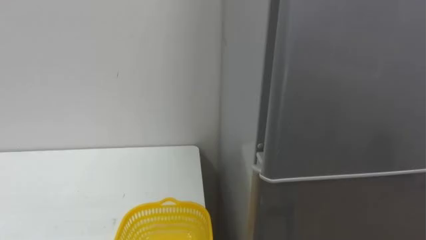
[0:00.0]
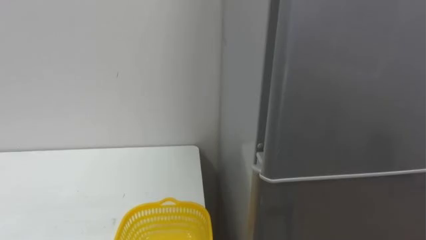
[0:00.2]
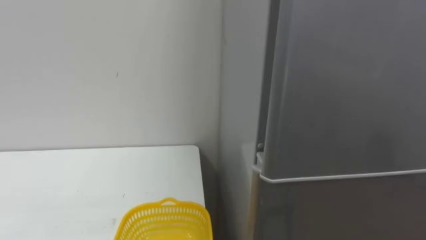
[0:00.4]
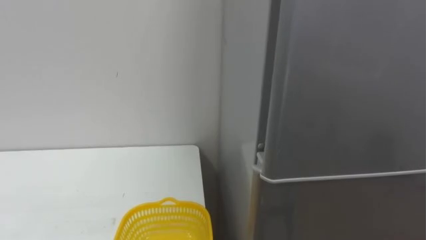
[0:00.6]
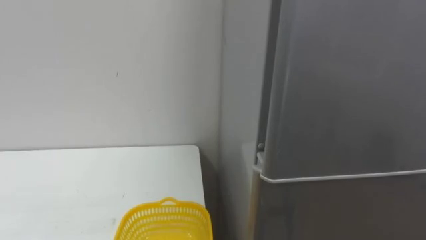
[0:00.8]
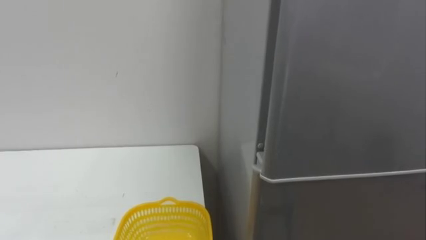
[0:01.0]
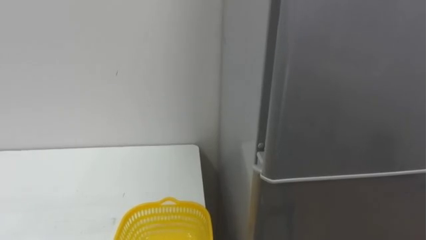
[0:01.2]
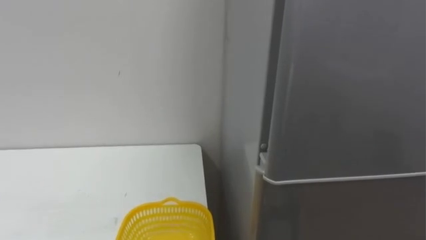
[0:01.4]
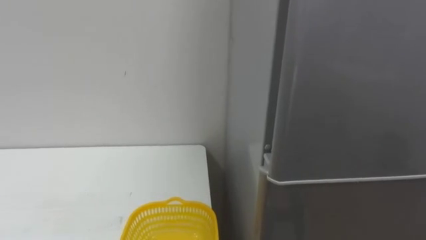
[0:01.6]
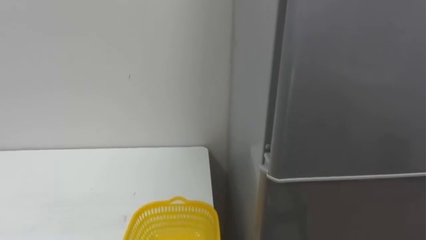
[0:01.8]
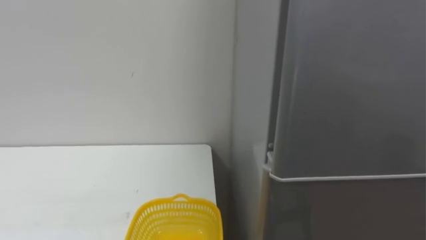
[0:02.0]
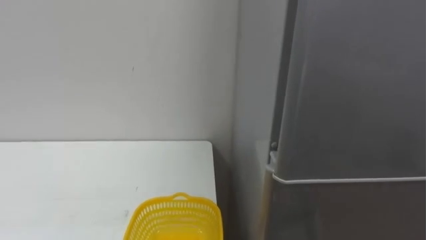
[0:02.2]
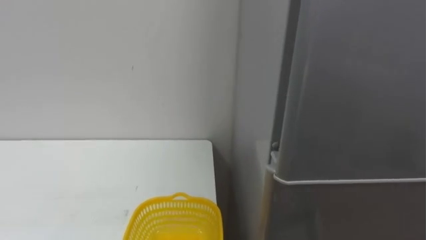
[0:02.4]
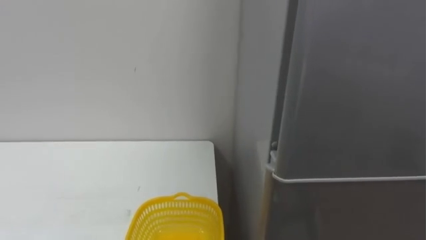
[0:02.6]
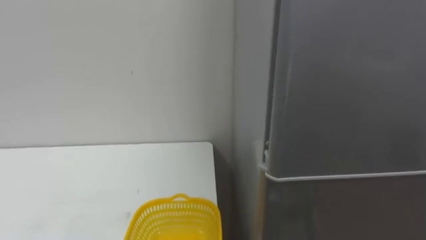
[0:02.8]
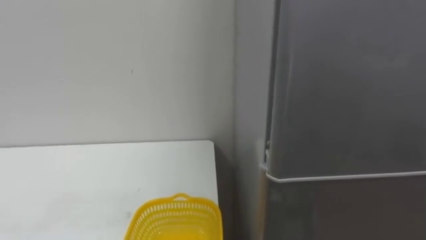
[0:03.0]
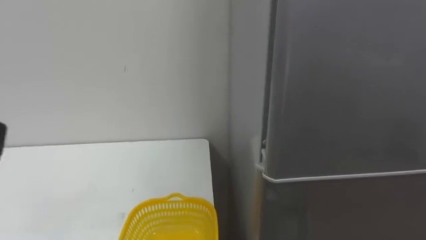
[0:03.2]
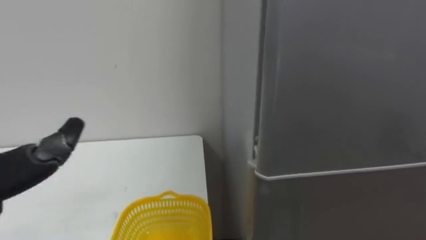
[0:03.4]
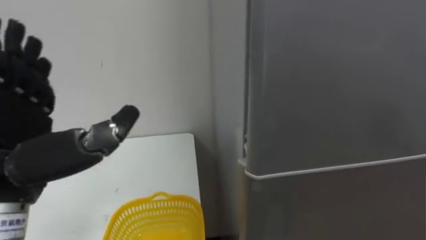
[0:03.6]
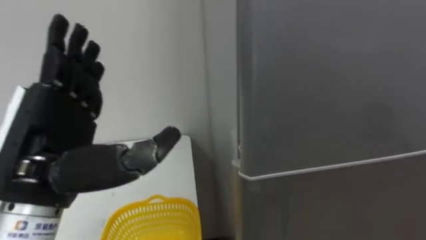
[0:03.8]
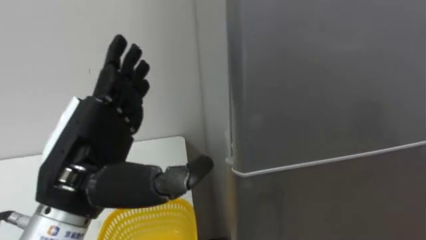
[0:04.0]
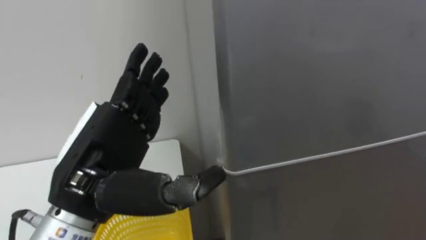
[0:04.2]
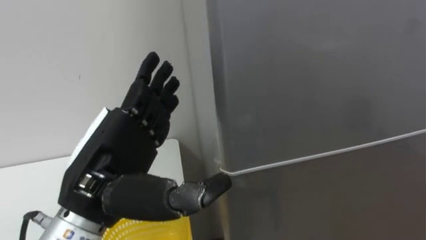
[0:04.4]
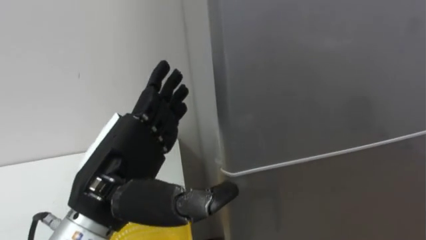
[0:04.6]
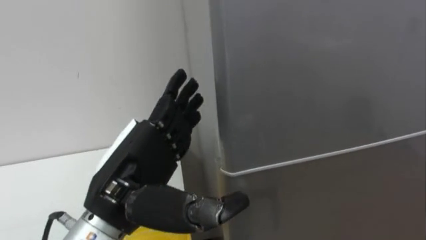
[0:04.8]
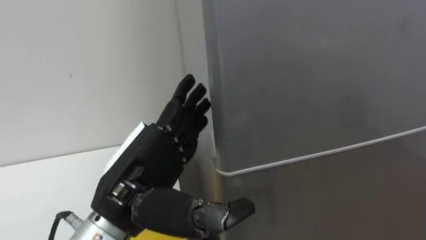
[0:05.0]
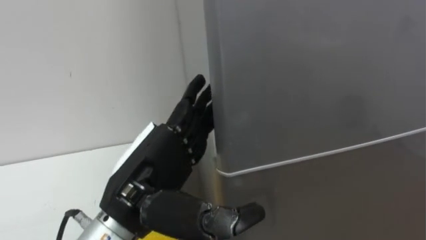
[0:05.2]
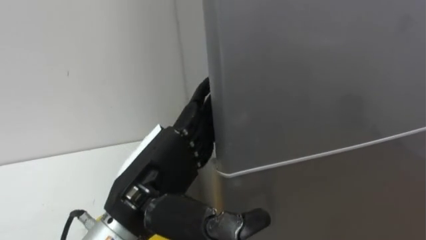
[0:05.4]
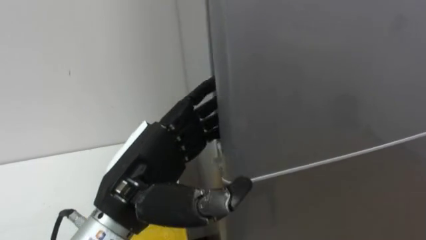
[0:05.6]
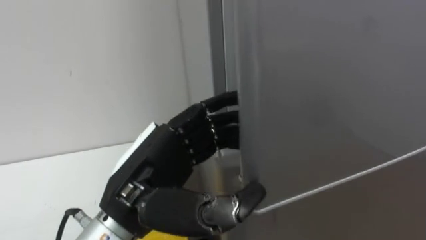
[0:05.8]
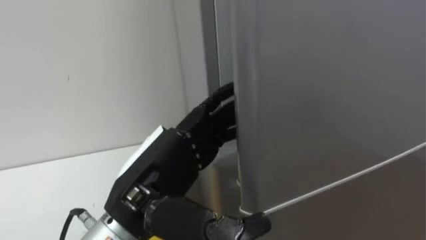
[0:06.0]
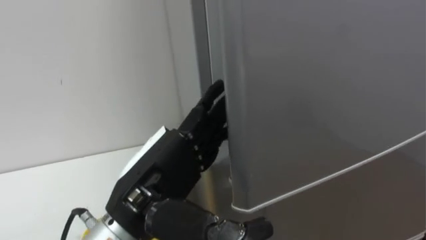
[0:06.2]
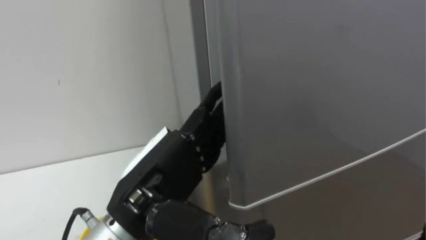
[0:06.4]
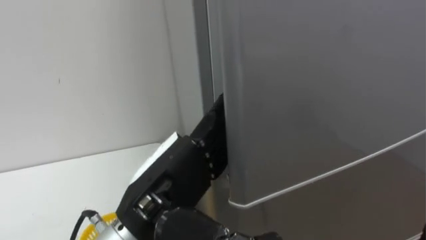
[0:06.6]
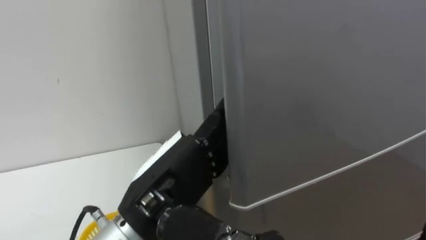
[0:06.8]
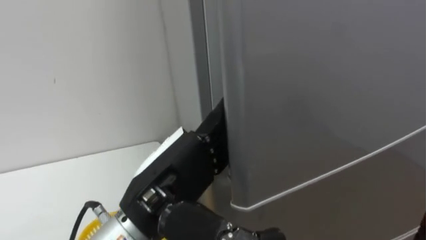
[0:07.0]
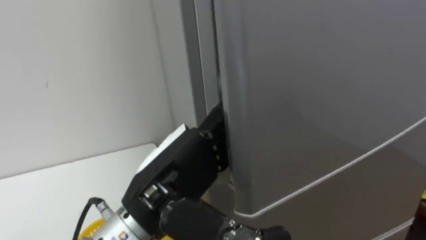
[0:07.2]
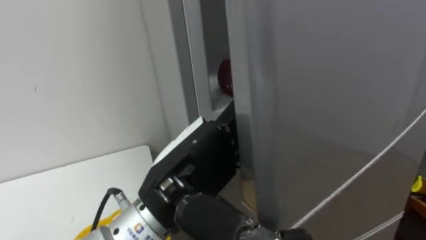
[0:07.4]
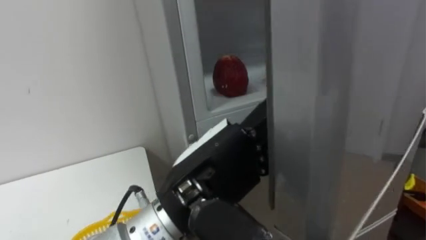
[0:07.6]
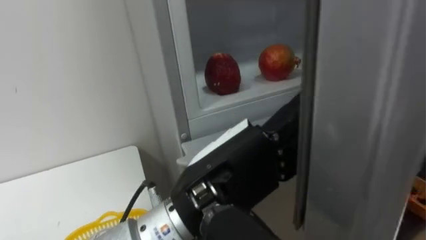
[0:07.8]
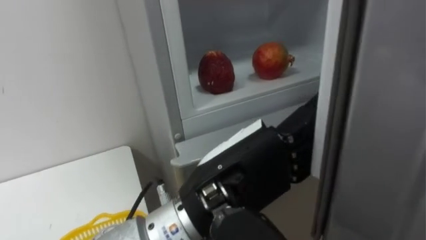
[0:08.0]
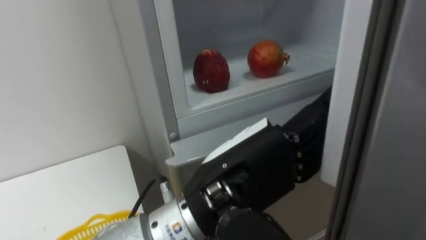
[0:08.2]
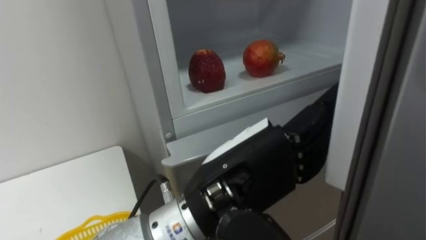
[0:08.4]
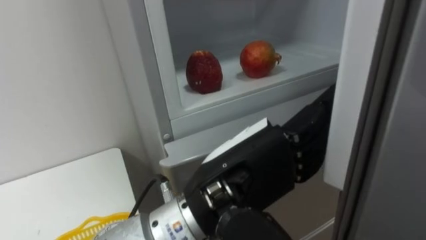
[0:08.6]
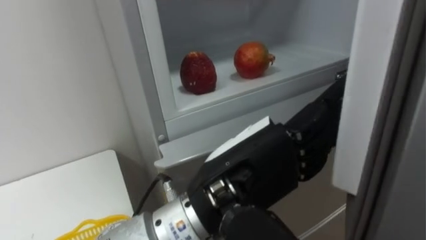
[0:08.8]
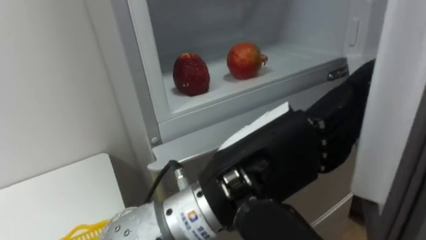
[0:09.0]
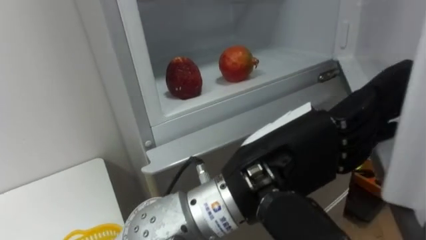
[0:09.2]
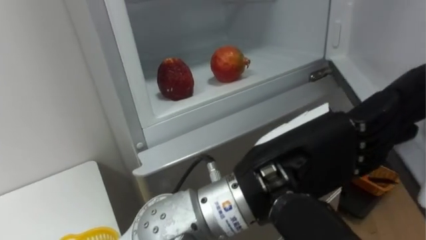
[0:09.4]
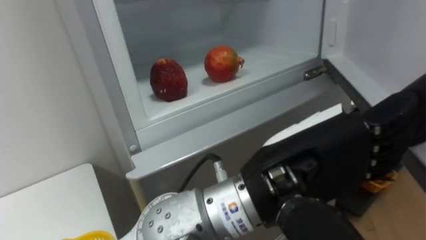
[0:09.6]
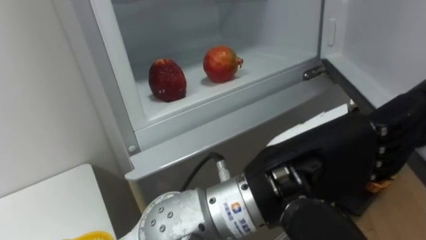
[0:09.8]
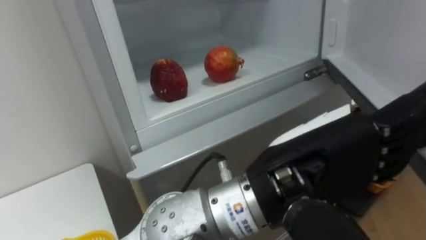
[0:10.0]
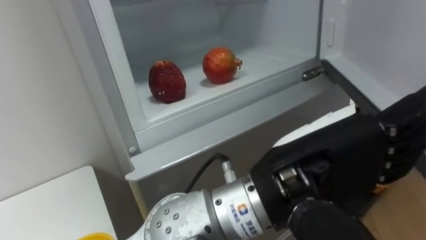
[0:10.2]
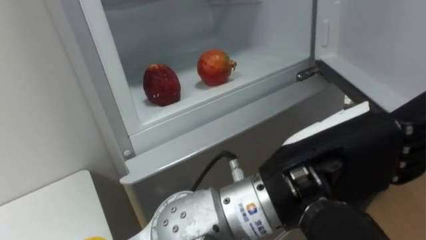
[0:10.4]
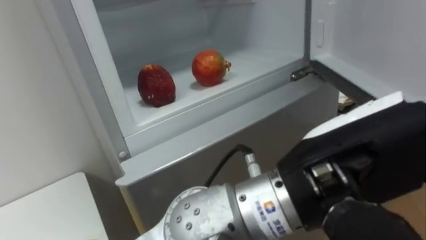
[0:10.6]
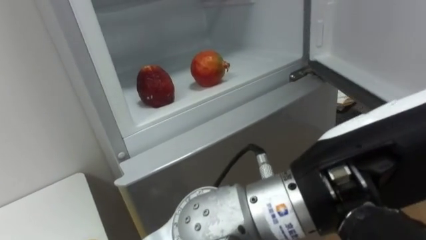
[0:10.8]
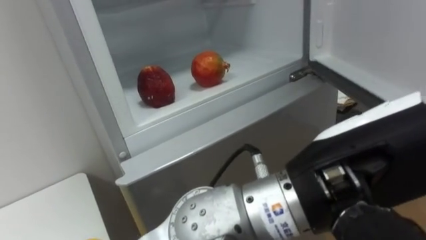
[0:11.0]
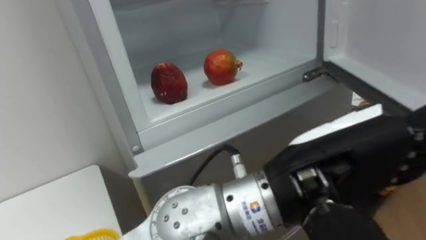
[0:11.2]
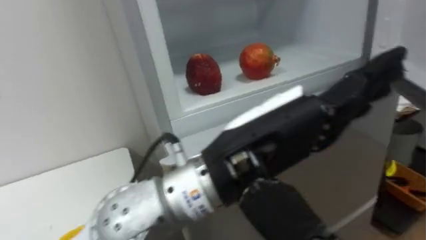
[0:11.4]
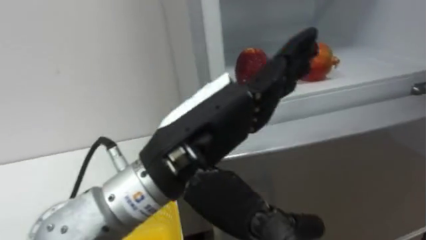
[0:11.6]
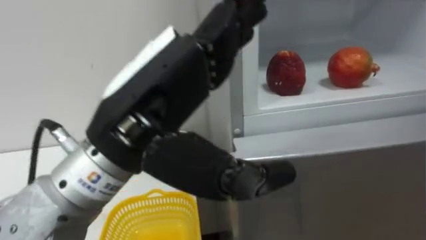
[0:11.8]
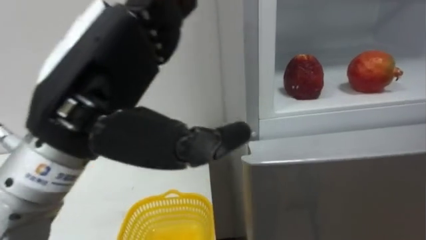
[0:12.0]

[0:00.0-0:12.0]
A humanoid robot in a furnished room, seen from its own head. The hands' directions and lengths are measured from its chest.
Task of the whole recording: Open the refrigerator door, take out the apple and the pomegranate, place them in the fruit basket on the left, and close the refrigerator door.
0:04.4 to 0:06.0: The left hand moves some 5 cm.
0:06.0 to 0:07.6: The left hand shifts approximately 5 cm to the right.
0:07.6 to 0:09.0: The left hand shifts by about 5 cm.
0:09.0 to 0:10.4: The left hand travels to the right by approximately 5 cm.
0:10.4 to 0:12.0: The left hand travels to the left by roughly 20 cm.

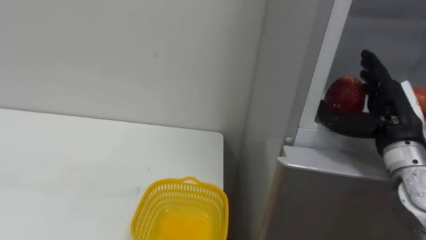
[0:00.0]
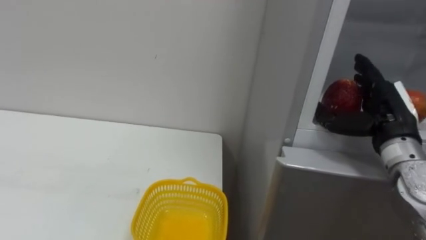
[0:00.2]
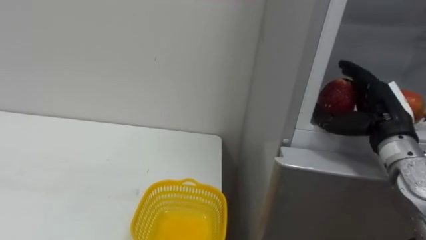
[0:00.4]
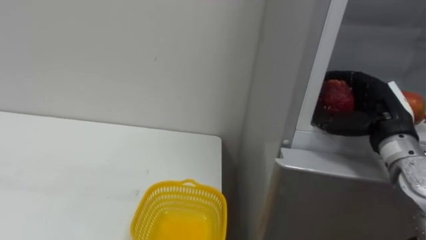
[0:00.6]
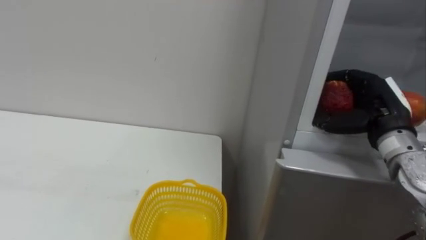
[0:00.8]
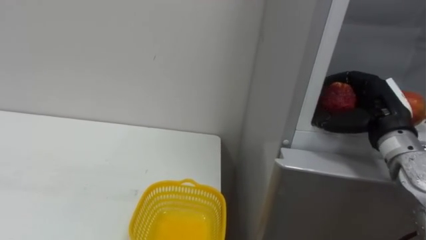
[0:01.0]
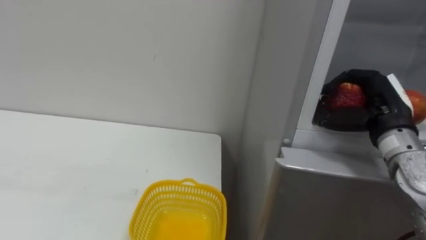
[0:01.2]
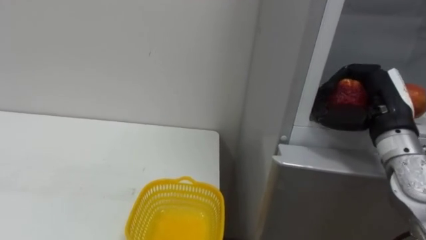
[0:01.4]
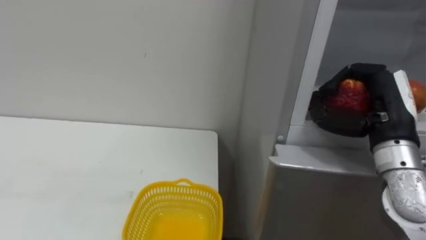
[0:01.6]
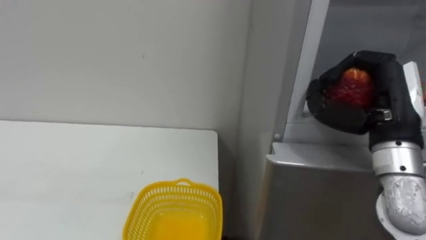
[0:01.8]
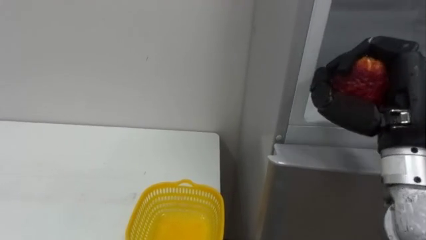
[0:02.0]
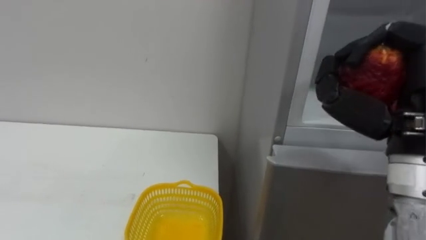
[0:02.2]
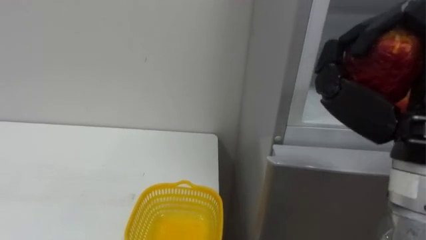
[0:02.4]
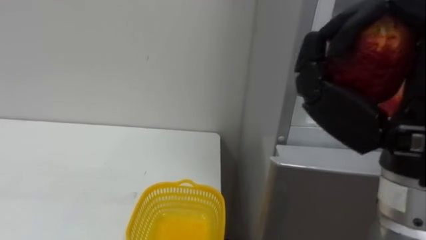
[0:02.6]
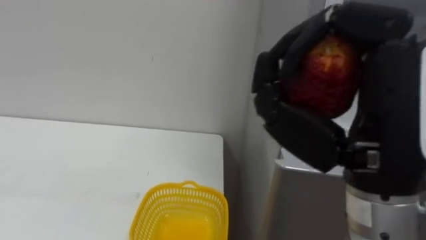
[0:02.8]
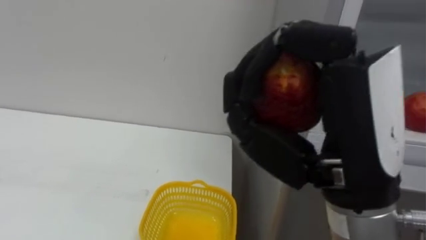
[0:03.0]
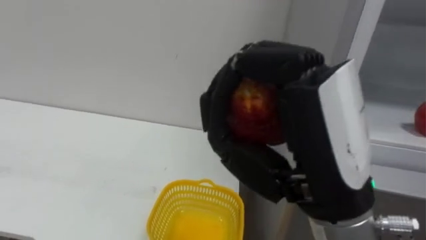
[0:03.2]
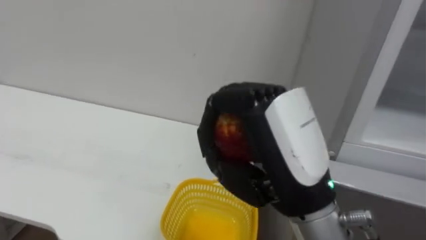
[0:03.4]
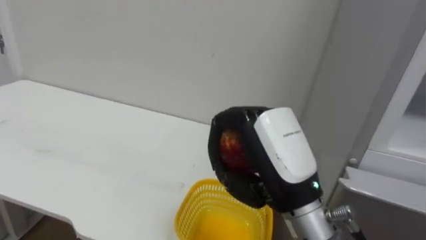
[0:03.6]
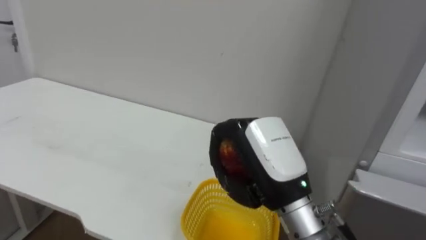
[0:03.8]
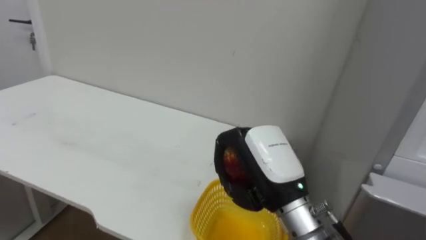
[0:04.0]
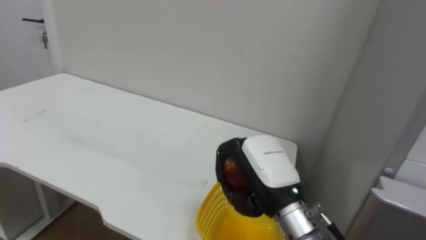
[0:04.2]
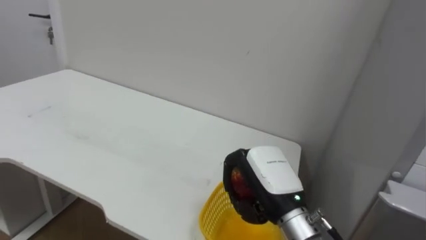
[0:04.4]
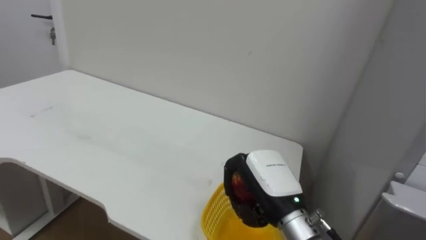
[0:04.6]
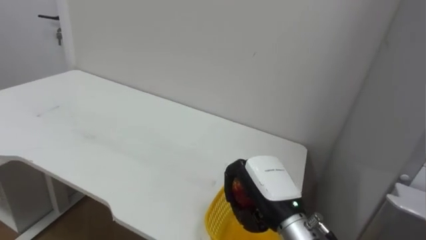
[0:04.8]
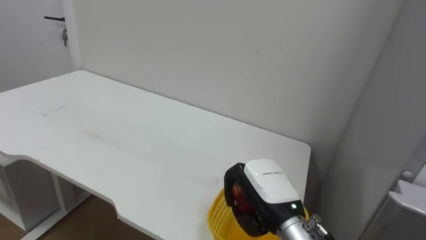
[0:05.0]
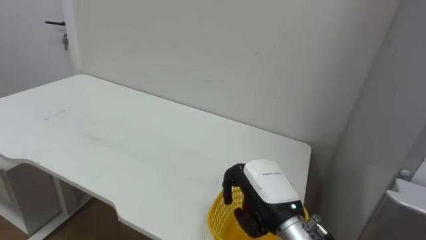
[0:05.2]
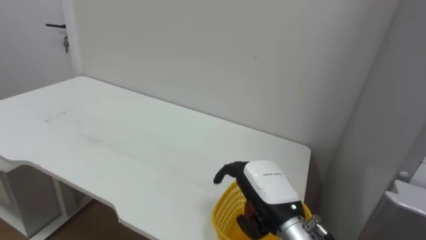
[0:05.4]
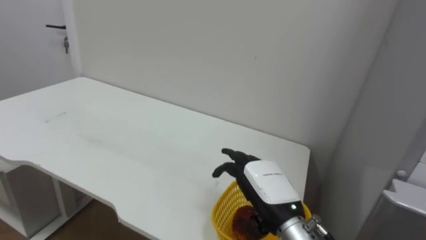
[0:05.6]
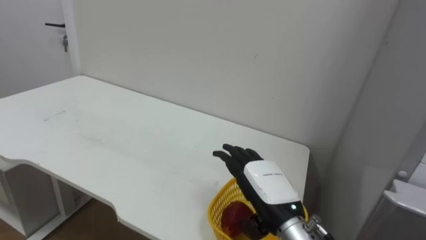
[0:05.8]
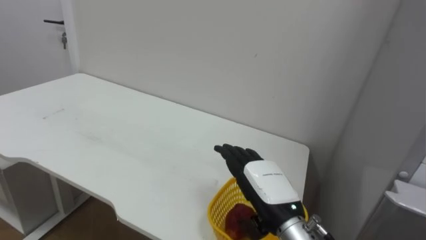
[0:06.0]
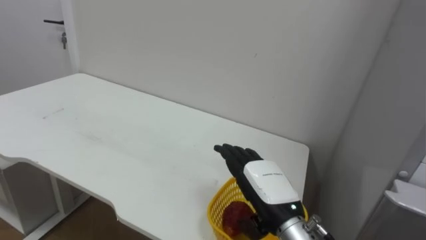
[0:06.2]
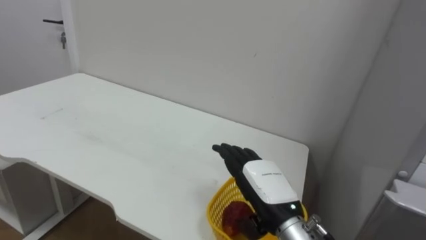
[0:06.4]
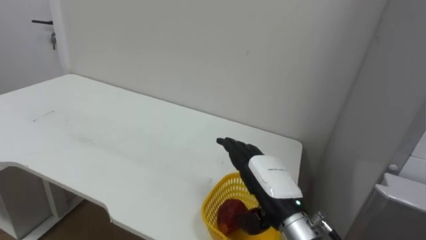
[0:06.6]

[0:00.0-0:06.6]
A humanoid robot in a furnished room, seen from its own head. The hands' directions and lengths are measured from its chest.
Task of the whole recording: Open the refrigerator door, take out the apple and the pomegranate, place them in the fruit basket on the left, and close the refrigerator door.
0:00.0 to 0:01.6: The right hand closes up.
0:01.6 to 0:03.2: The right hand is displaced to the left, backward and upward by roughly 20 cm.
0:03.2 to 0:05.0: The right hand heads downward and forward, covering about 25 cm.
0:05.0 to 0:06.6: The right hand opens.
